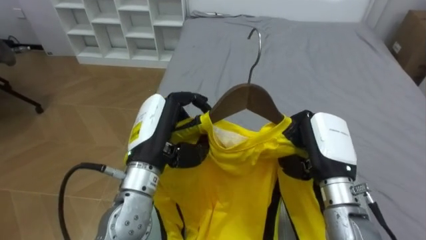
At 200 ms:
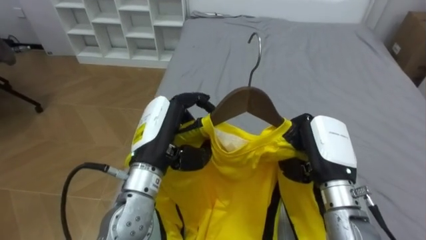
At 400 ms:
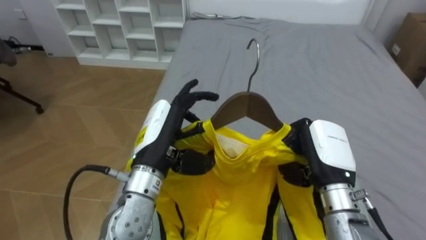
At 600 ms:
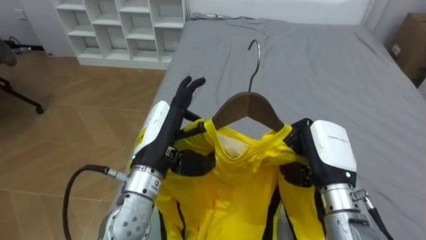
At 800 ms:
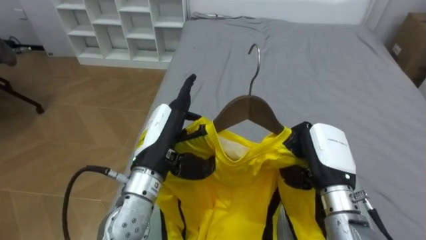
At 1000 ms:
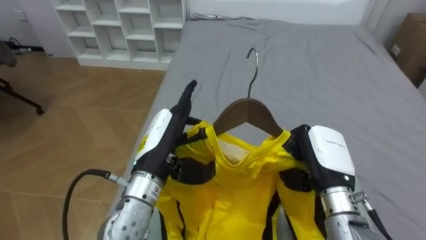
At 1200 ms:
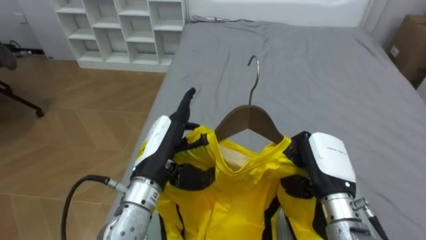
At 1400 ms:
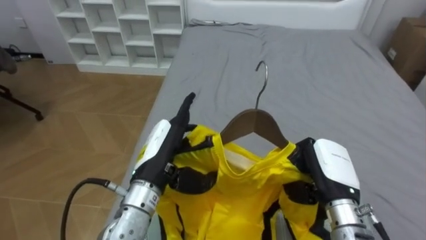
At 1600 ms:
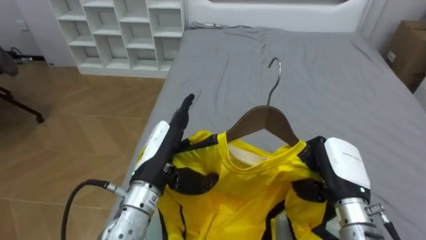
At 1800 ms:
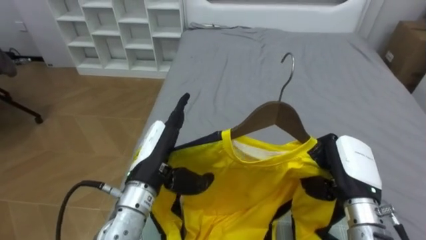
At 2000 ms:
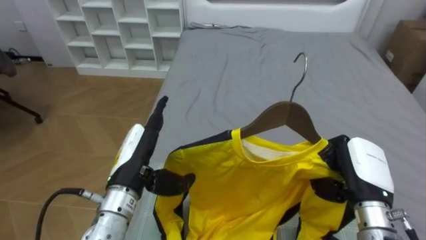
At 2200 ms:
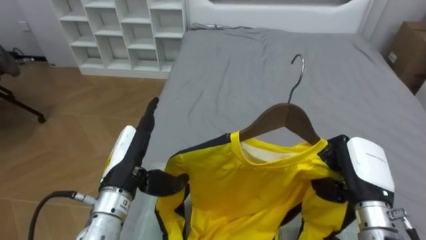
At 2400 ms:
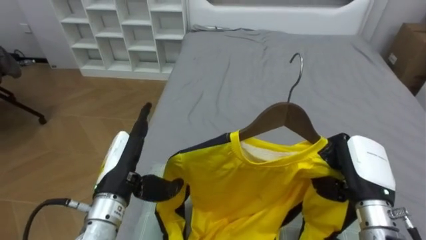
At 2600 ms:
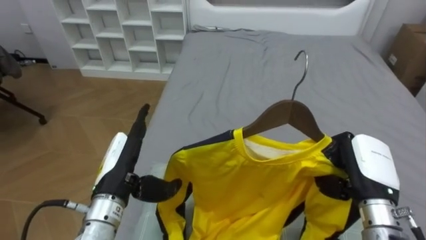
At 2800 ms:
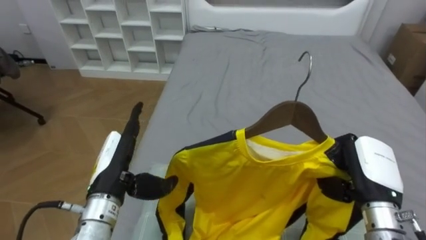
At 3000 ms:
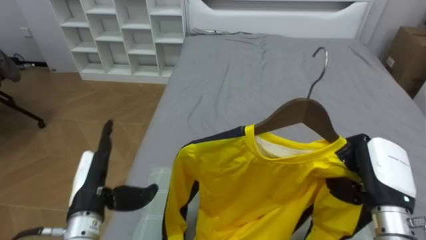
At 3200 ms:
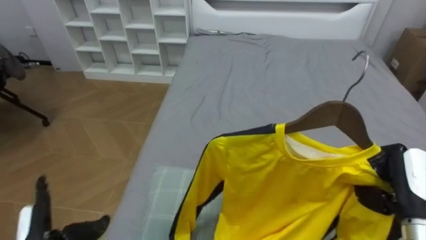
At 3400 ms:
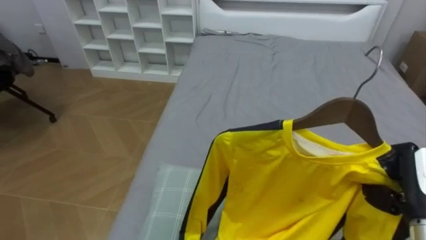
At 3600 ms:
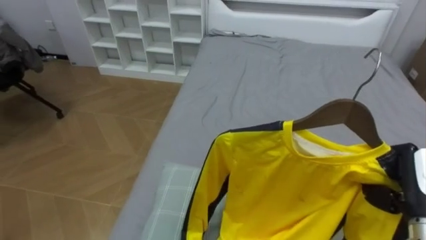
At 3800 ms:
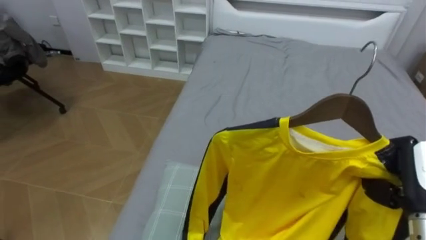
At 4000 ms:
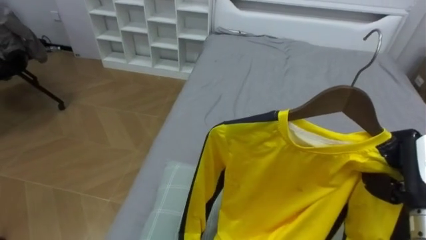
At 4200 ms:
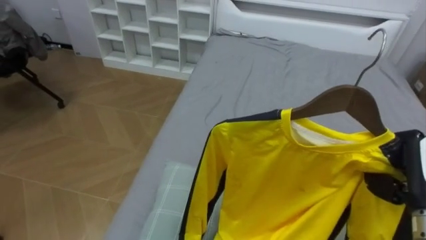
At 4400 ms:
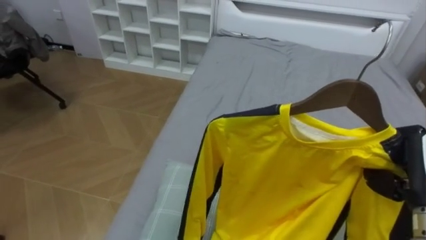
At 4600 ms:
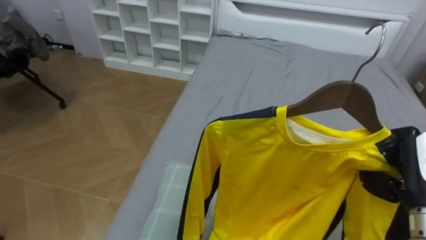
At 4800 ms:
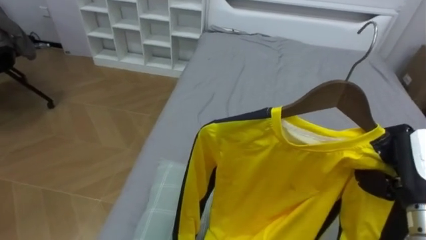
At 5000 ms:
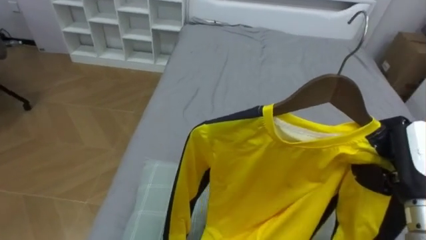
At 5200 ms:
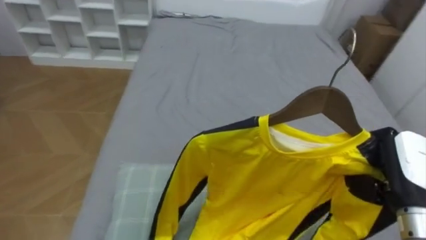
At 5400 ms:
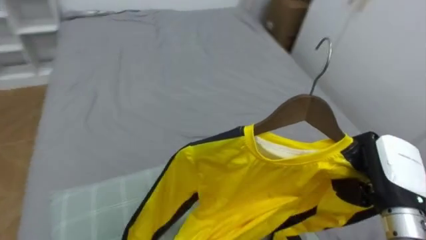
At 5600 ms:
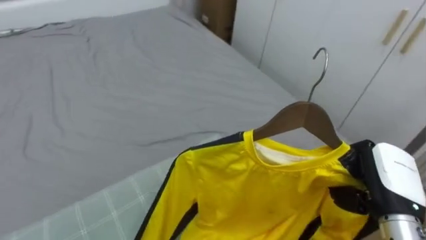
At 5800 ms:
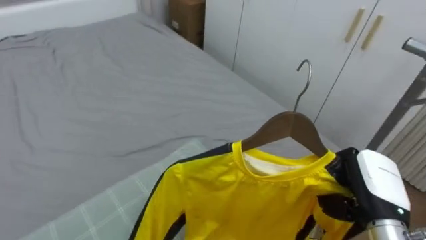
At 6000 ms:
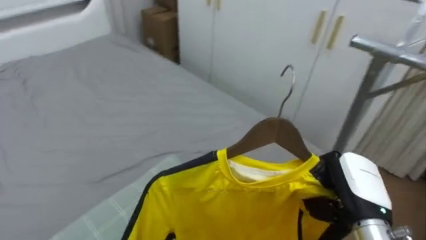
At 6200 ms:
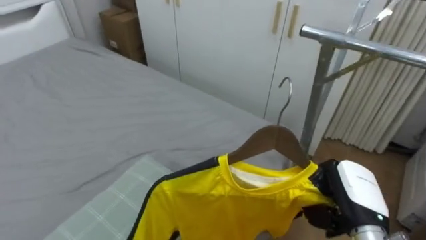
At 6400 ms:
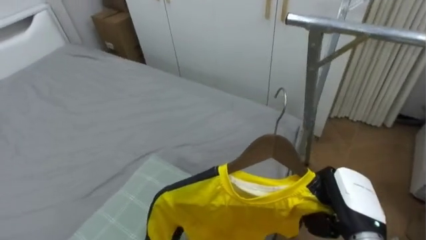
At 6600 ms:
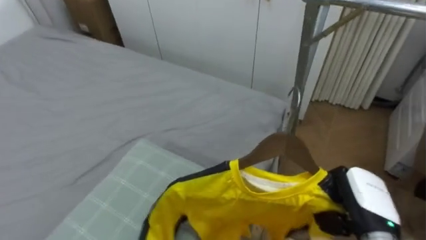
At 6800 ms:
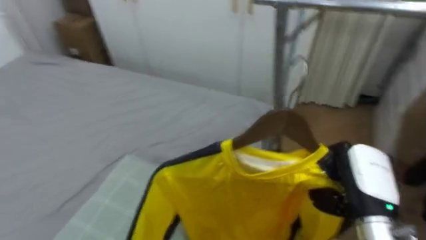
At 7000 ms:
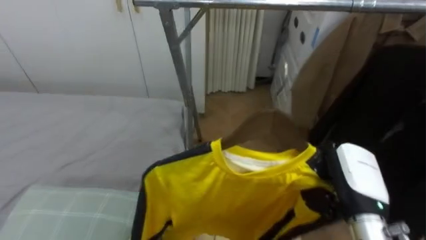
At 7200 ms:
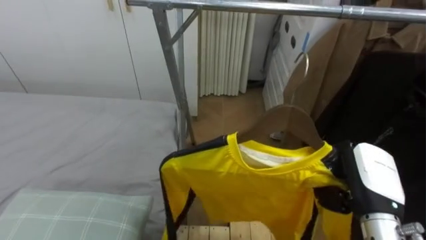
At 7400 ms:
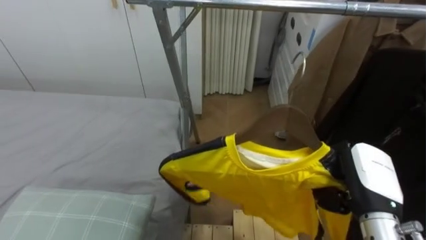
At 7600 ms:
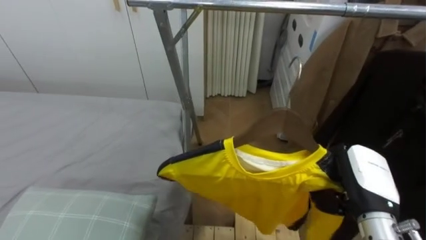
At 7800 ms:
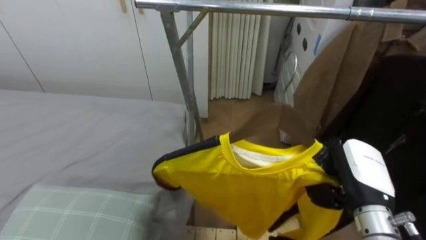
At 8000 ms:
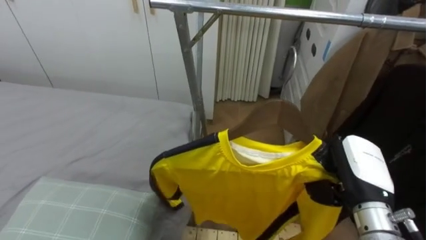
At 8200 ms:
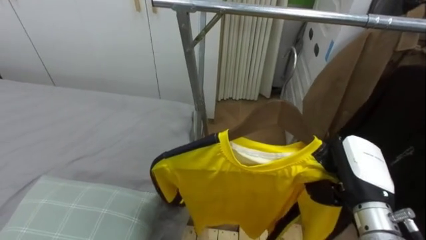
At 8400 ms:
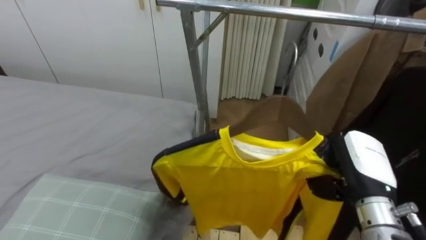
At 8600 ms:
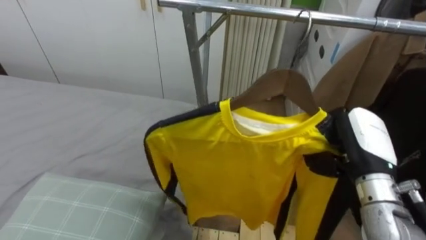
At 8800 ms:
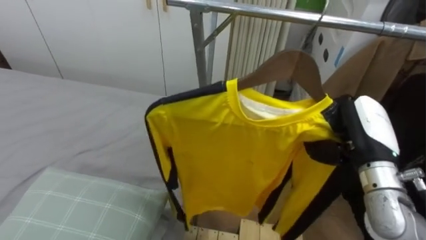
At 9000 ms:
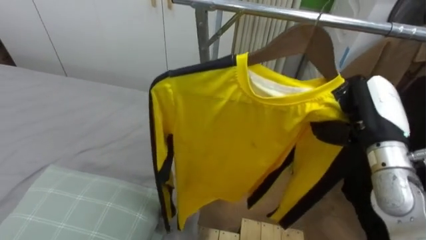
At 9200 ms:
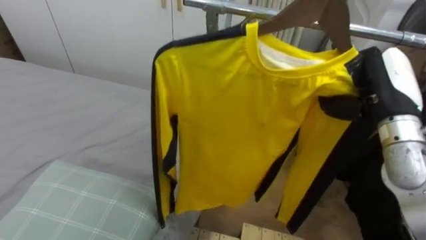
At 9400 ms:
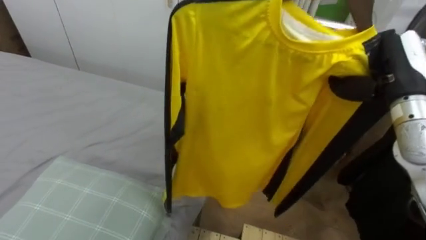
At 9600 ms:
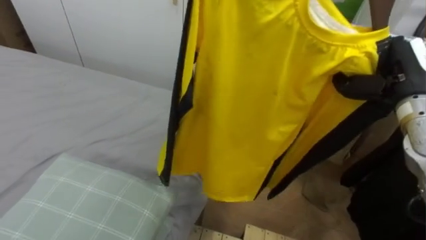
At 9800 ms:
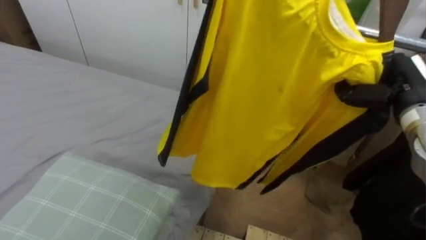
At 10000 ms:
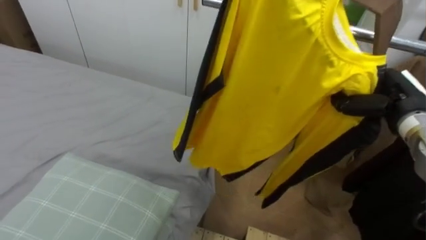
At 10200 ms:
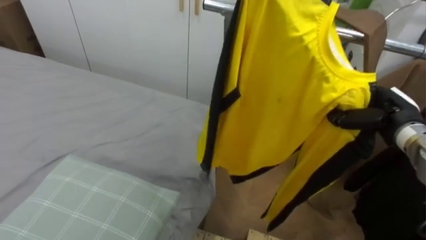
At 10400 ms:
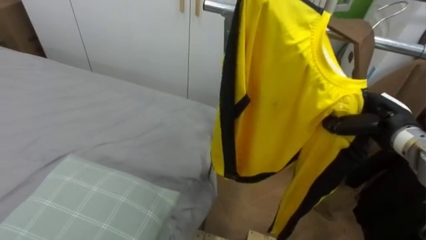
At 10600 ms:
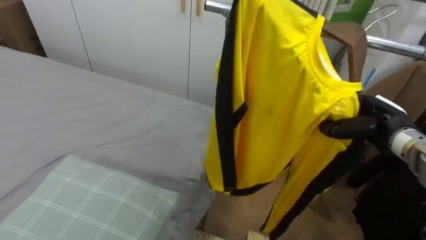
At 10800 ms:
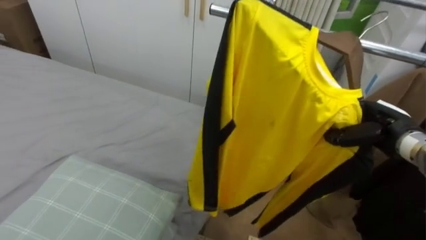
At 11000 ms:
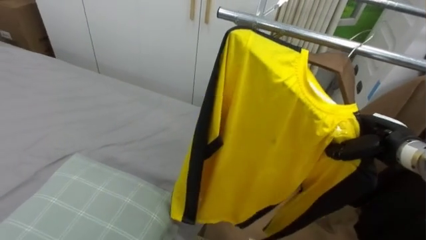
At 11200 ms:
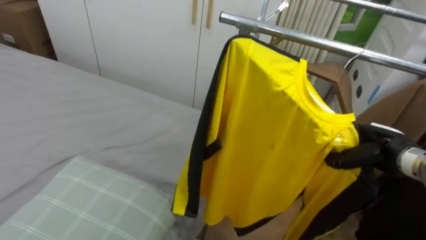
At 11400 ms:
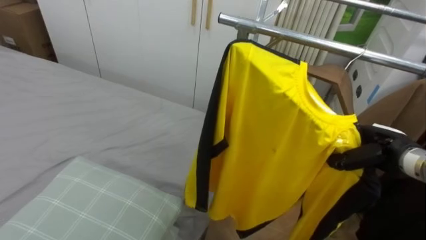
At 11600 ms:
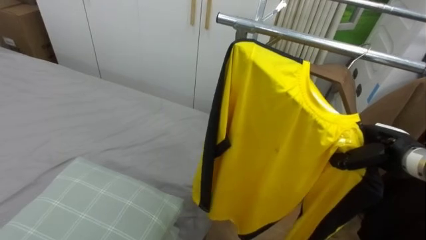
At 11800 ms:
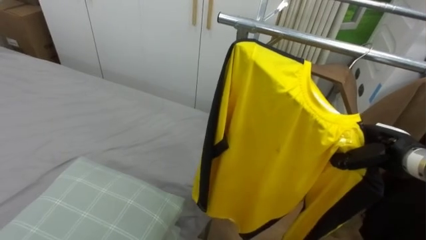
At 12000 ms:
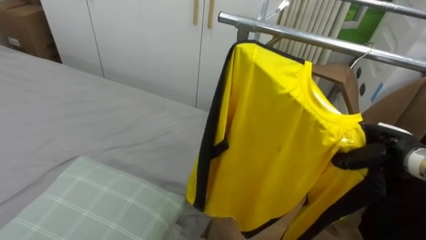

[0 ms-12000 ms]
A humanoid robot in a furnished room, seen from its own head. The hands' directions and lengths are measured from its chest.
Task of the whole recording: Pick up the yellow shirt on the bed and hang it on the clothes rack on the right.
0 ms to 1600 ms: The left hand opens; the right hand moves approximately 5 cm.
1600 ms to 3000 ms: The left hand moves to the left, some 10 cm, while the right hand shifts approximately 5 cm to the right.
3000 ms to 4400 ms: The right hand moves about 5 cm.
4400 ms to 6000 ms: The robot's body swings roughly 50 degrees to its right. The right hand is displaced to the left by some 10 cm.
6000 ms to 7600 ms: The robot's body swings roughly 45 degrees to its right.
7600 ms to 9000 ms: The right hand travels upward and forward by roughly 10 cm.
9000 ms to 10400 ms: The right hand is displaced forward, downward and to the right by about 10 cm.
10400 ms to 12000 ms: The right hand changes place by approximately 5 cm.

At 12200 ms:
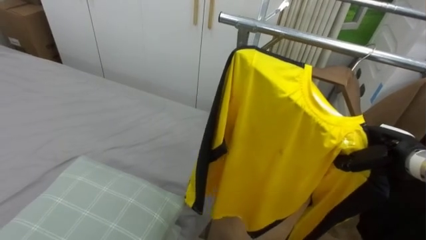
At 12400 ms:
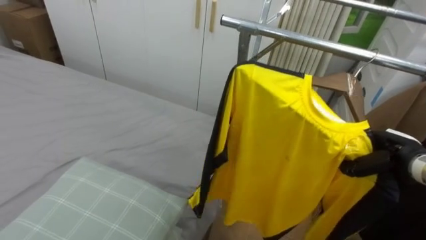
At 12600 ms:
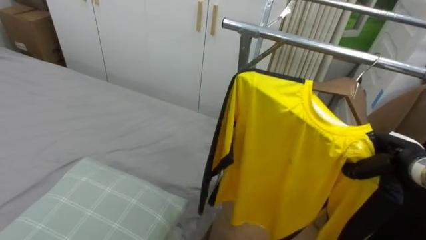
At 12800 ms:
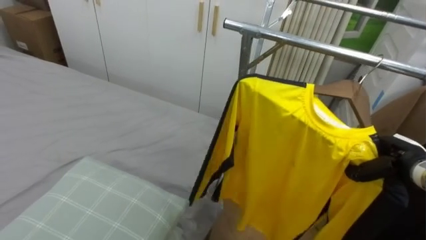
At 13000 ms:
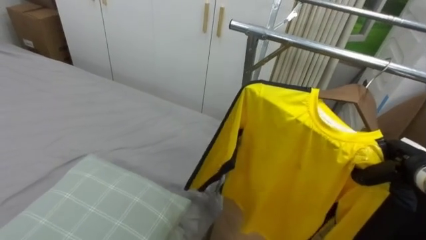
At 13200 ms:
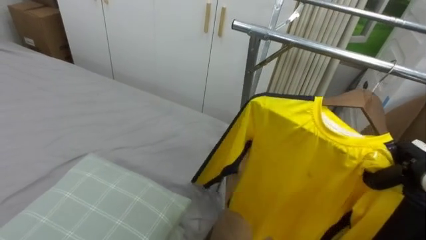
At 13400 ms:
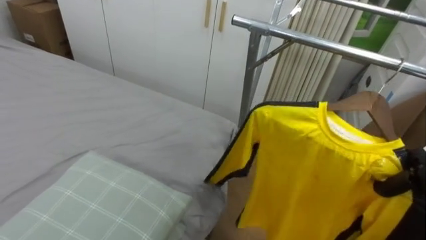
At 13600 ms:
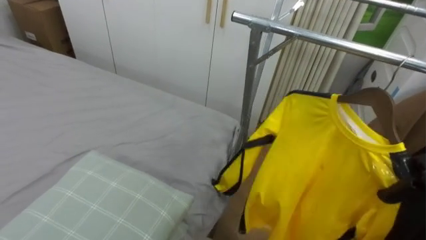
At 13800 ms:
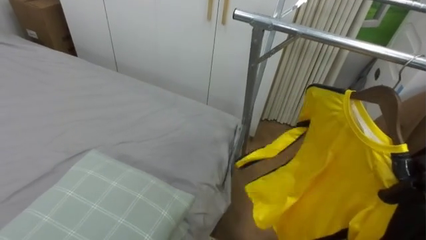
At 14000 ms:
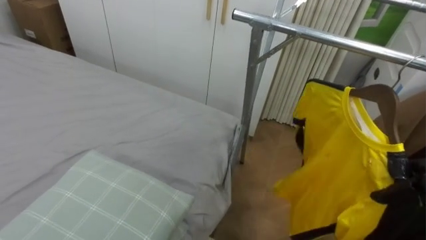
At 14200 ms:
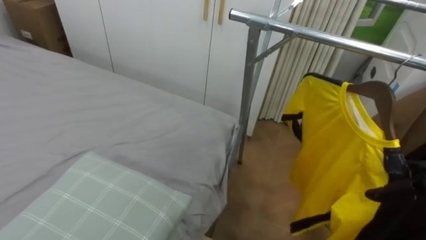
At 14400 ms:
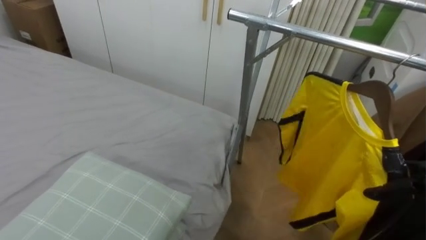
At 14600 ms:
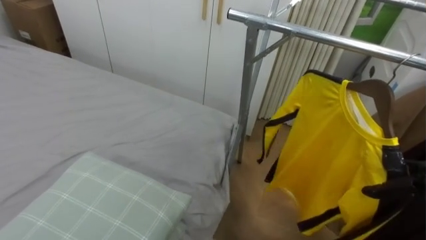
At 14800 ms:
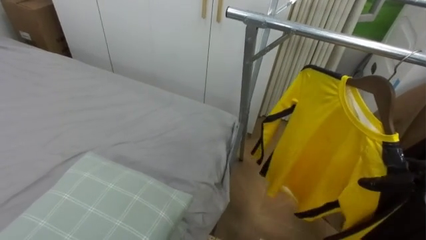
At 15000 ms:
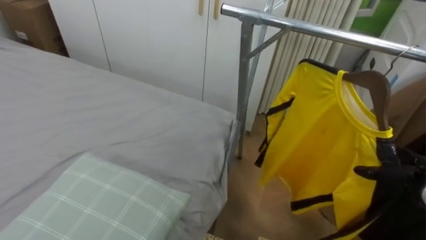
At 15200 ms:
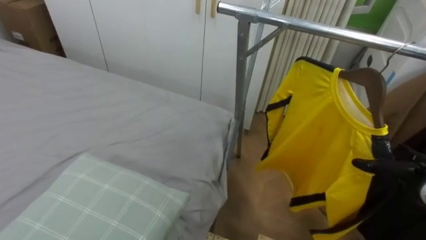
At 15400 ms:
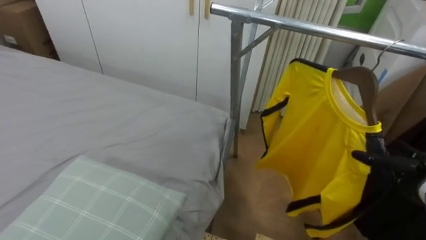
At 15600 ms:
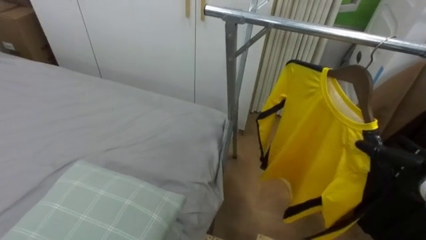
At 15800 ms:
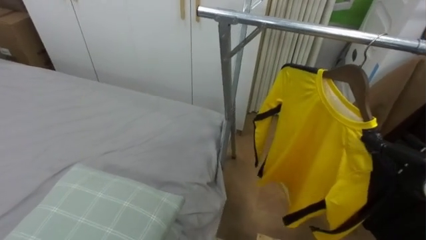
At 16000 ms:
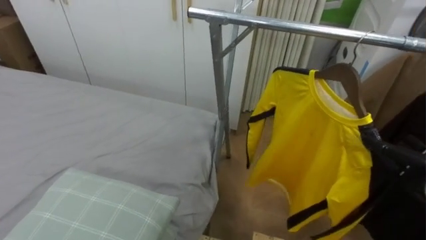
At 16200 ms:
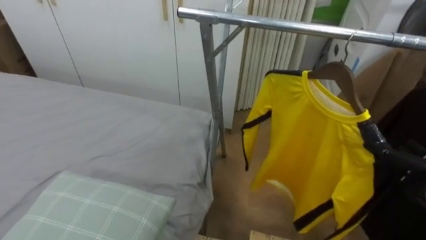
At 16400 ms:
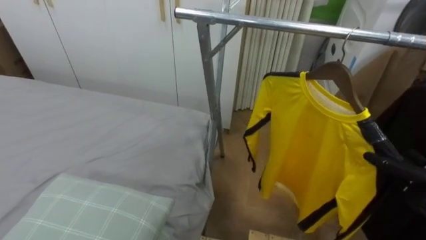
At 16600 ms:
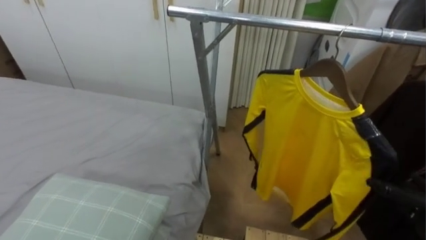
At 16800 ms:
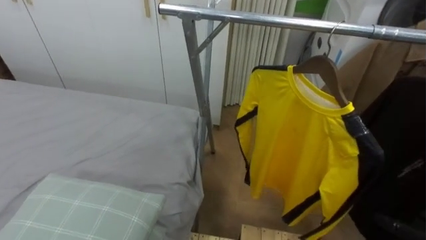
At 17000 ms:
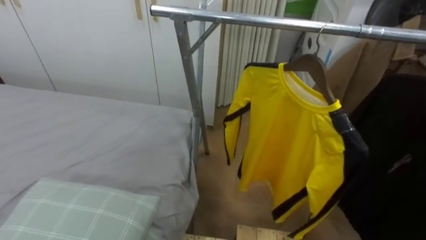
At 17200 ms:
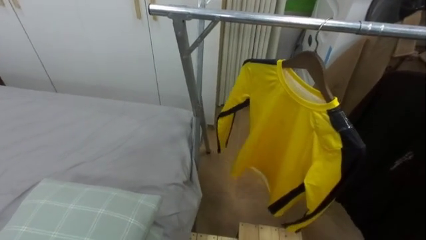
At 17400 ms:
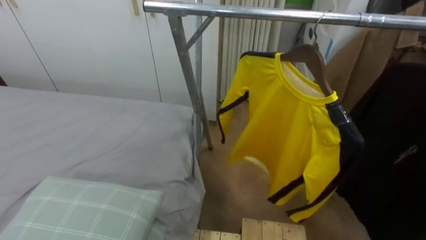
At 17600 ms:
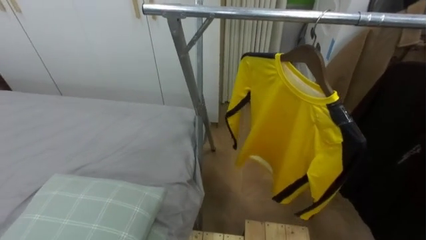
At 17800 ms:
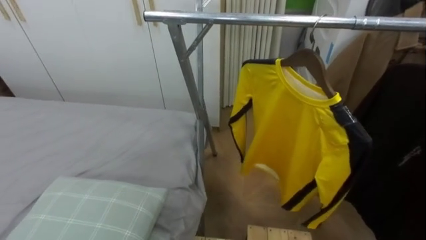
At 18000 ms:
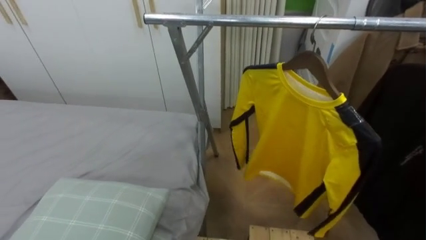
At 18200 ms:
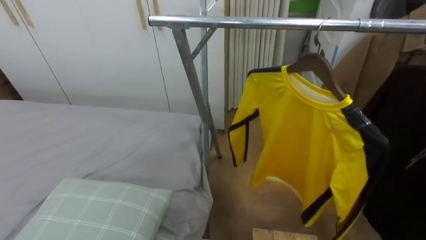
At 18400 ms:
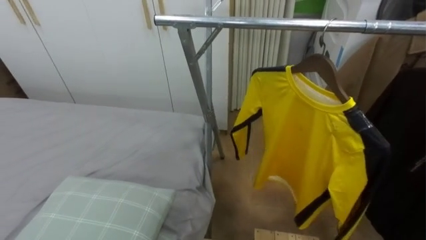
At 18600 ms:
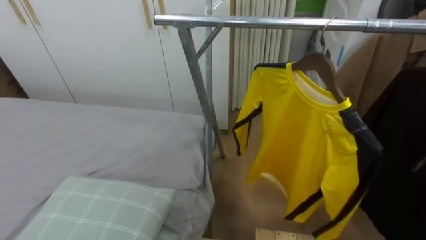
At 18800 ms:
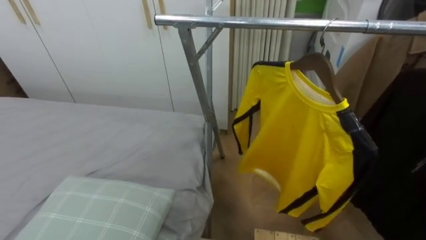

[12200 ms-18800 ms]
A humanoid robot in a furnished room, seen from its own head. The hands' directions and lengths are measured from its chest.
Task of the whole recording: Pick up the yellow shirt on the bed and hang it on the clothes rack on the right.
12200 ms to 13800 ms: The right hand heads to the right, covering about 10 cm.
13800 ms to 15400 ms: The right hand opens its fingers.
